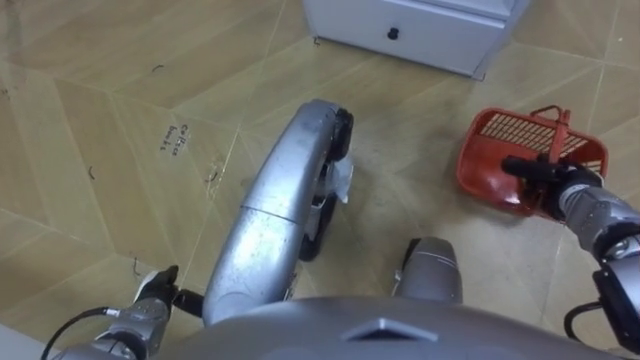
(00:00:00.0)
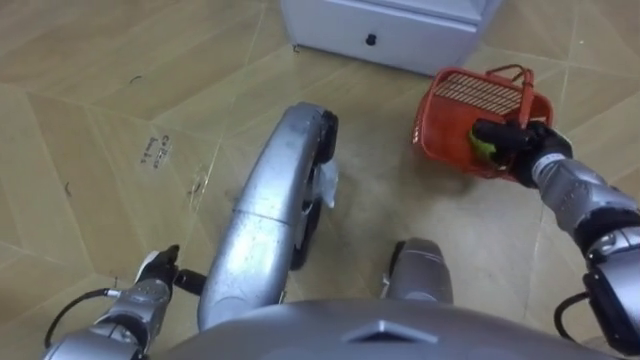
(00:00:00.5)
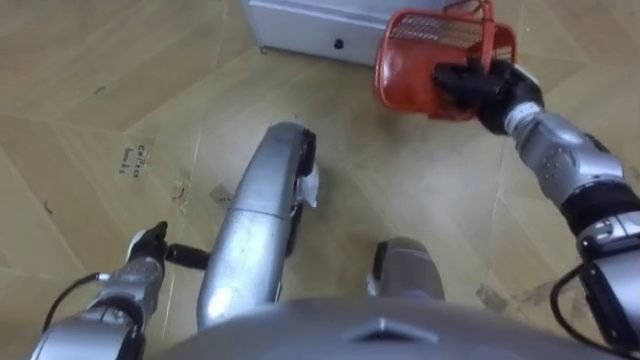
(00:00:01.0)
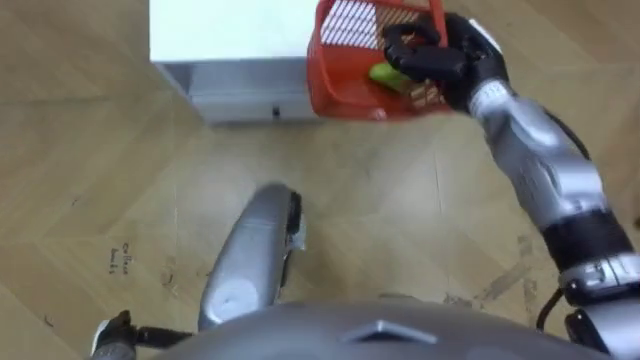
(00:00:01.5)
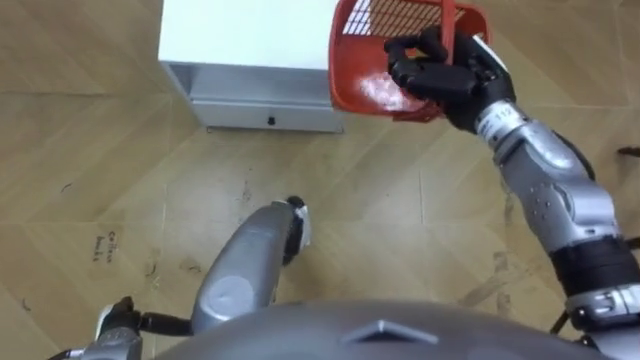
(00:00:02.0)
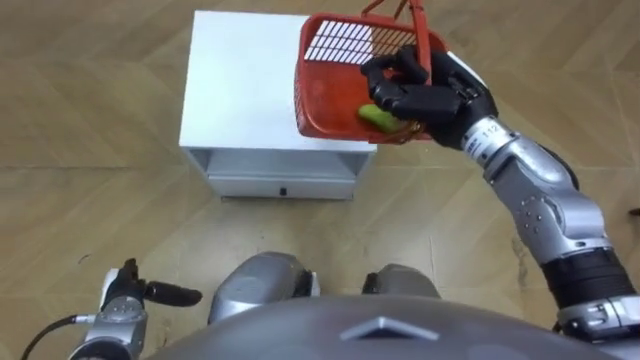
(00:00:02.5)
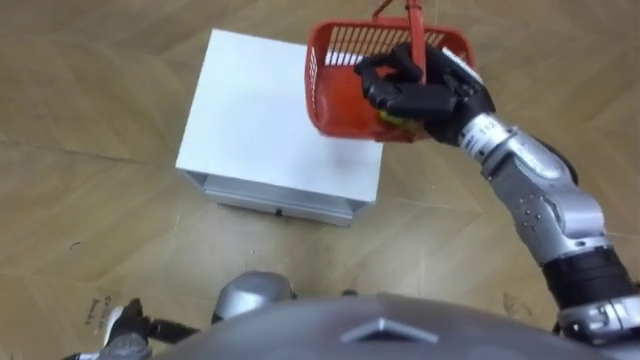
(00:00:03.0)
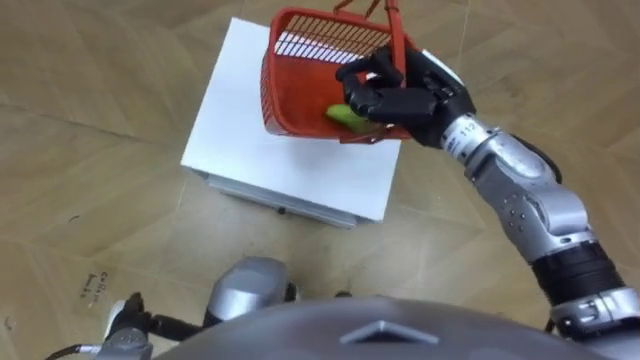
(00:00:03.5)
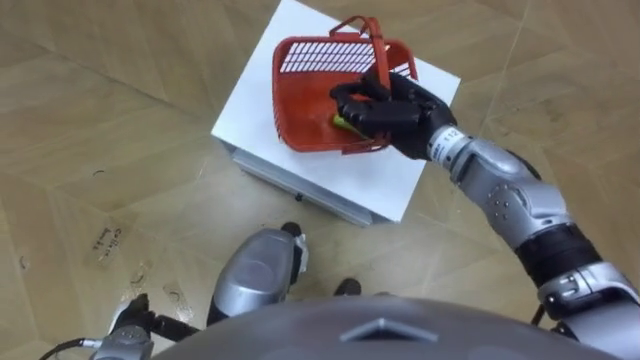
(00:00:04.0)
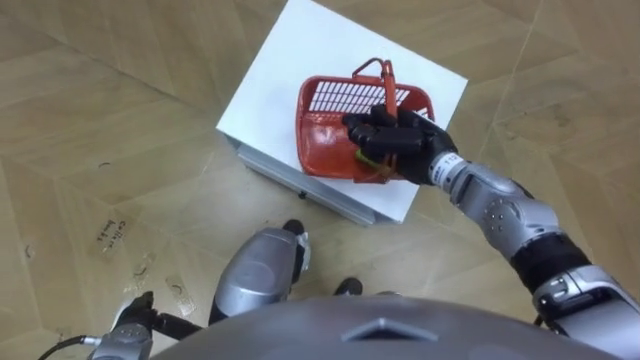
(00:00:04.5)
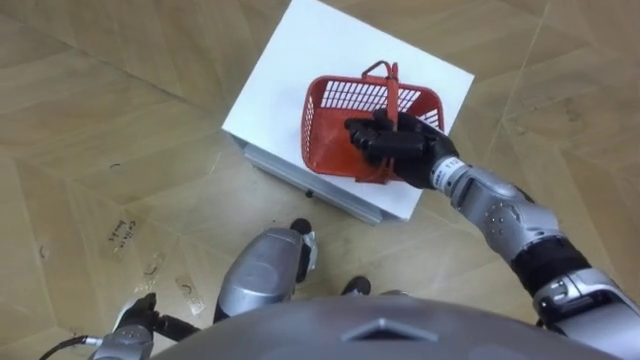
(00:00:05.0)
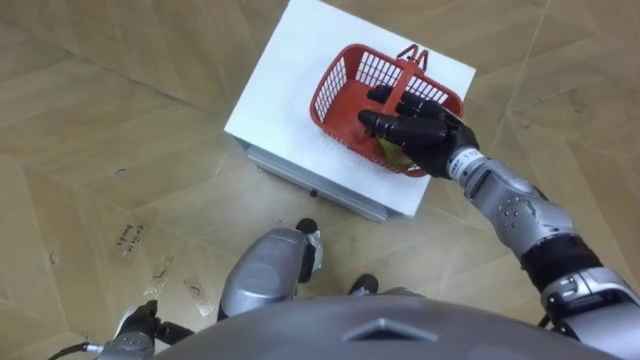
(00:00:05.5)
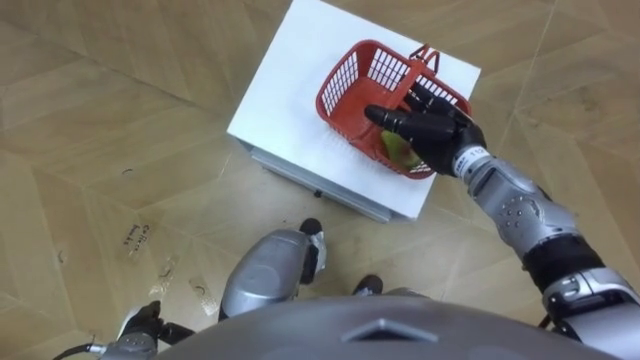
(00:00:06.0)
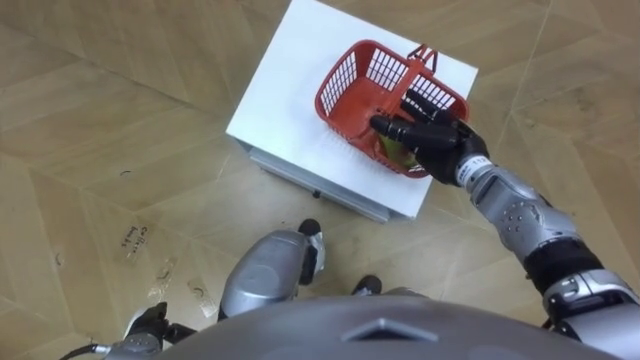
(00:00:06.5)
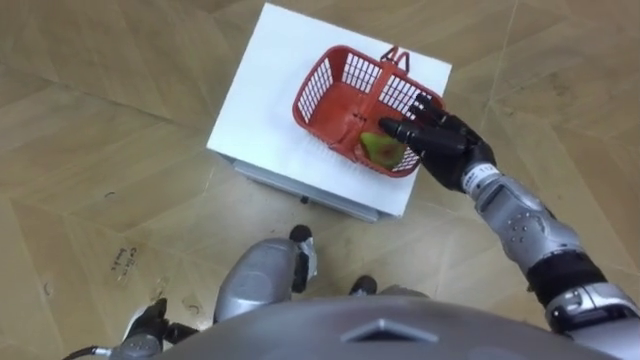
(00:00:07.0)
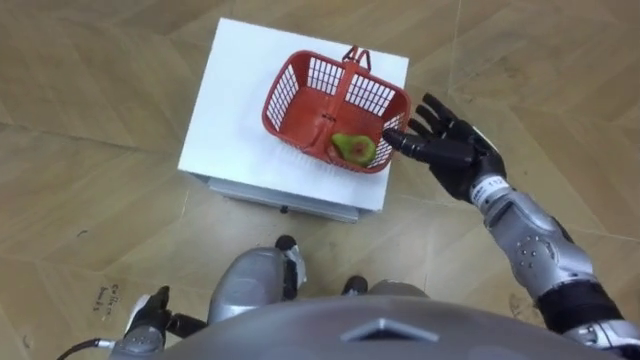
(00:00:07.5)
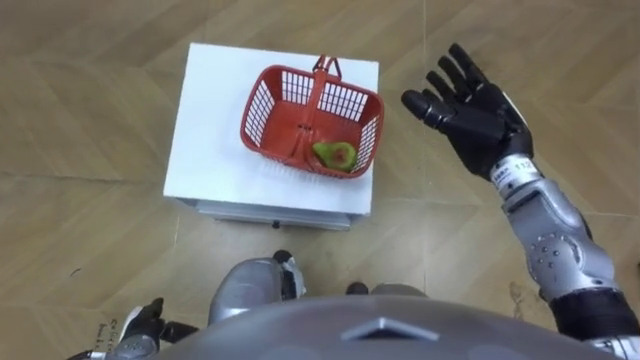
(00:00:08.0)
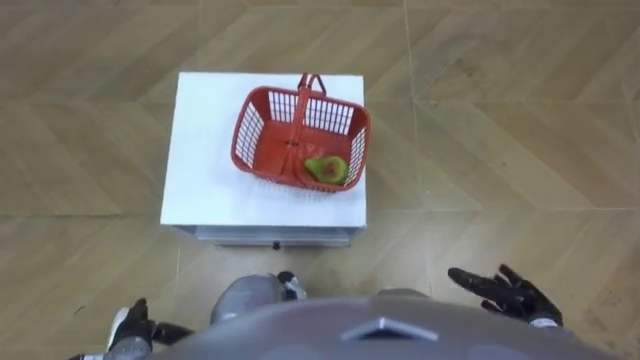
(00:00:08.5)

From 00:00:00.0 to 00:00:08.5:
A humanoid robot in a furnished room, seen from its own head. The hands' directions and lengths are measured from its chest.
Task of the whole recording: Pick up the fruit basket from the floor and place it on the cabinet.
From 00:00:00.0 to 00:00:02.0: The robot rotates approximately 15 degrees to its right. The right hand travels to the left, upward and forward by roughly 25 cm, while the left hand travels forward and back again, roughly 5 cm each way.
From 00:00:02.0 to 00:00:04.0: The right hand goes approximately 5 cm to the left.
From 00:00:04.0 to 00:00:06.5: The right hand goes some 10 cm to the right and downward, and opens its fingers.
From 00:00:06.5 to 00:00:08.5: The right hand heads backward, to the right and downward, covering approximately 25 cm.

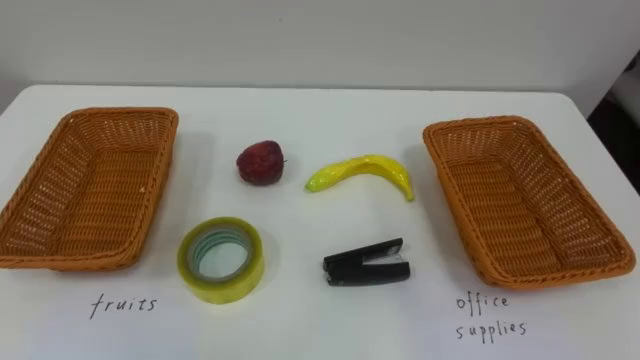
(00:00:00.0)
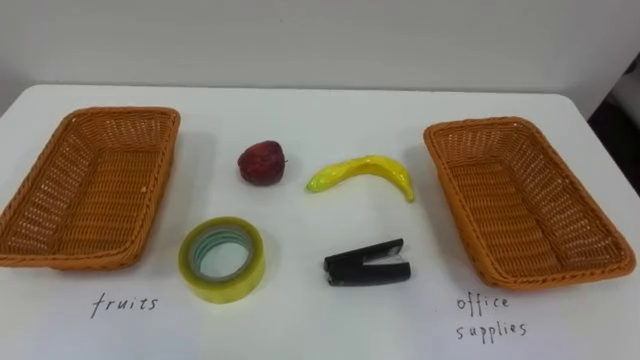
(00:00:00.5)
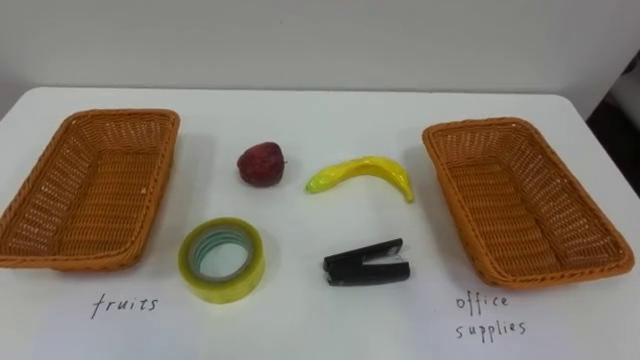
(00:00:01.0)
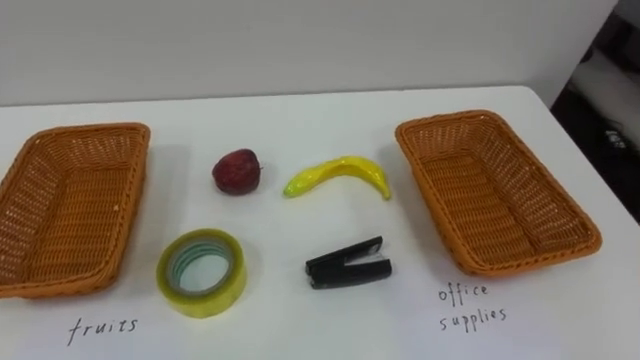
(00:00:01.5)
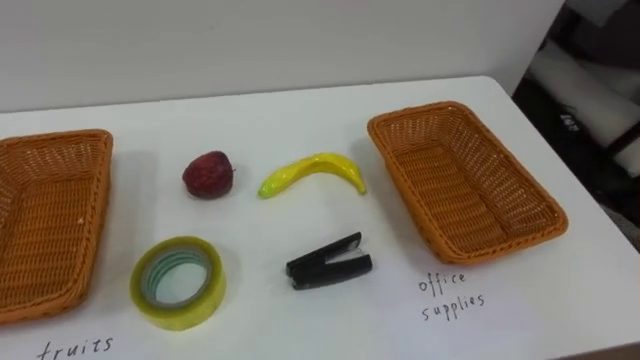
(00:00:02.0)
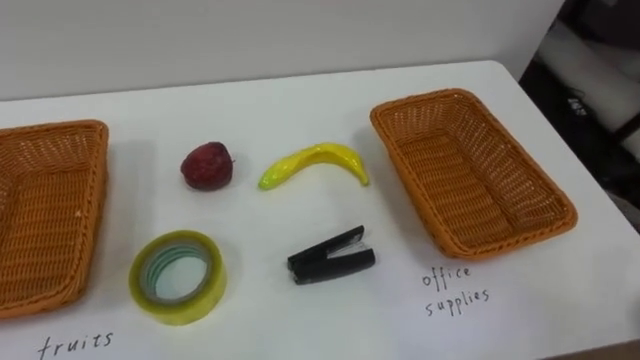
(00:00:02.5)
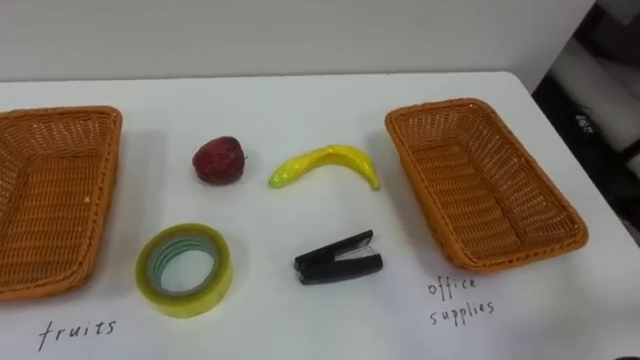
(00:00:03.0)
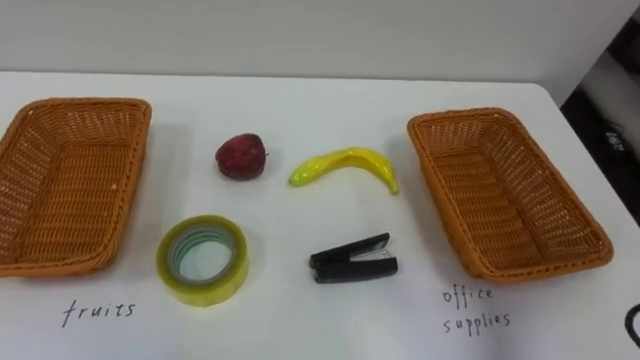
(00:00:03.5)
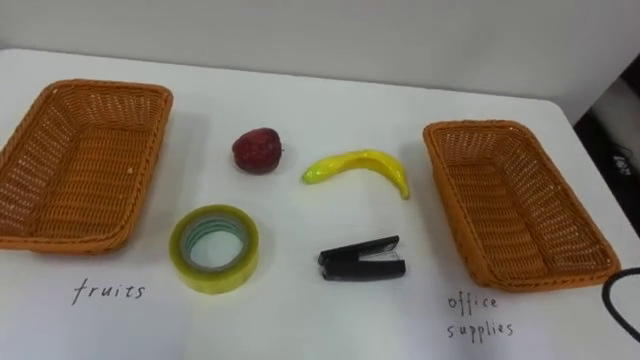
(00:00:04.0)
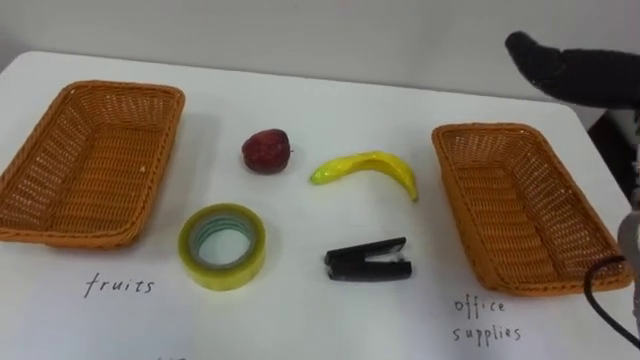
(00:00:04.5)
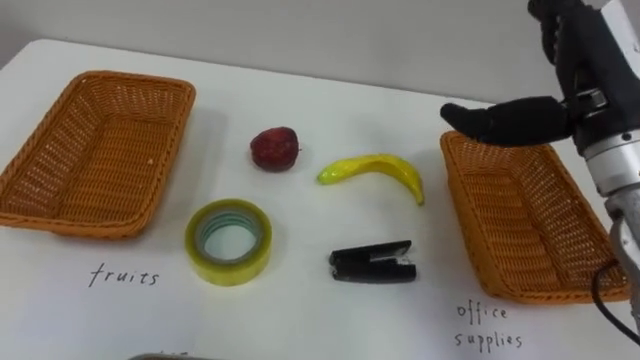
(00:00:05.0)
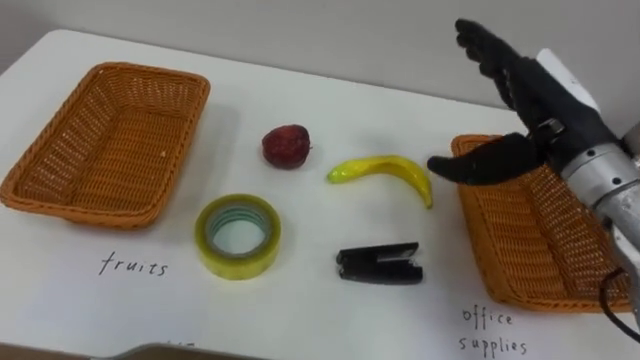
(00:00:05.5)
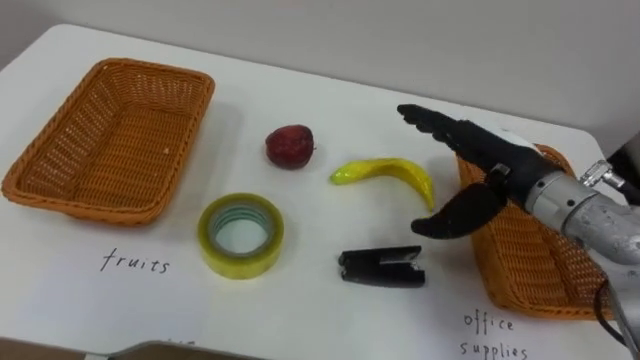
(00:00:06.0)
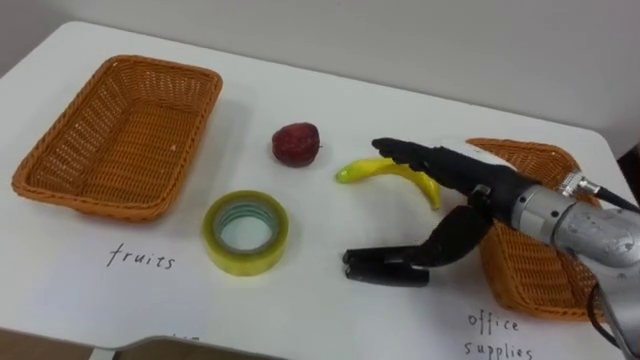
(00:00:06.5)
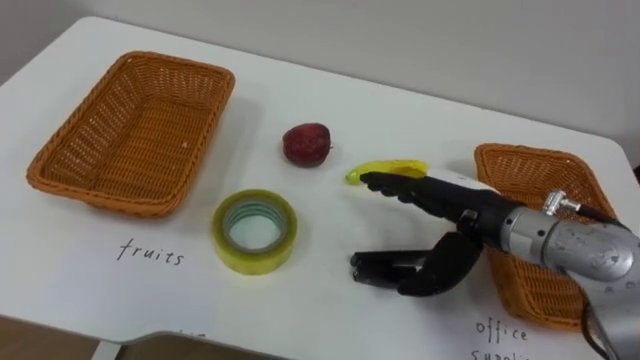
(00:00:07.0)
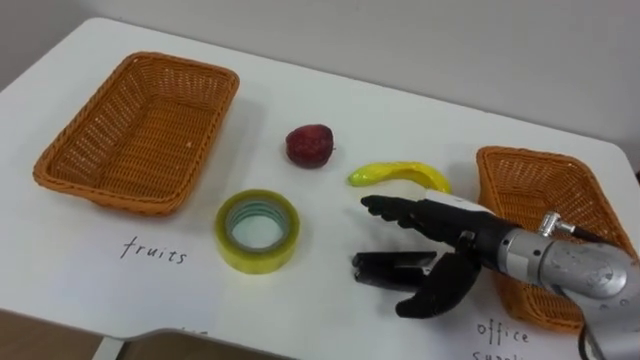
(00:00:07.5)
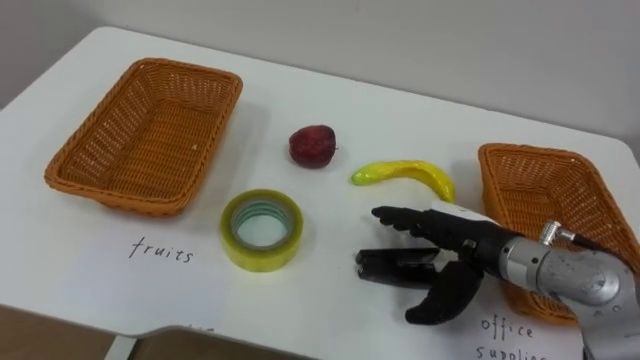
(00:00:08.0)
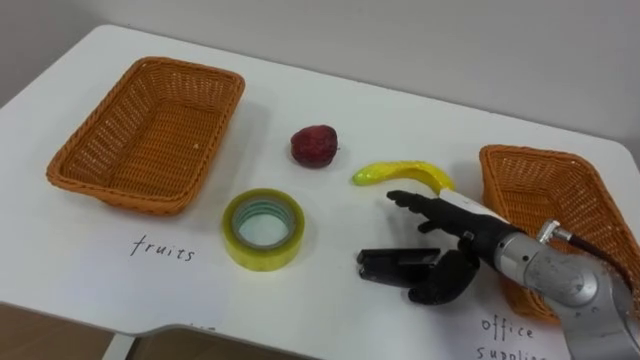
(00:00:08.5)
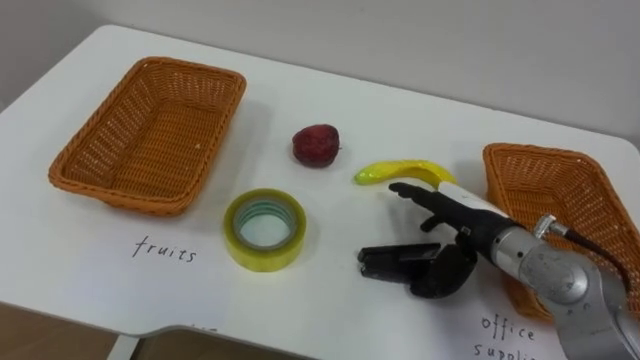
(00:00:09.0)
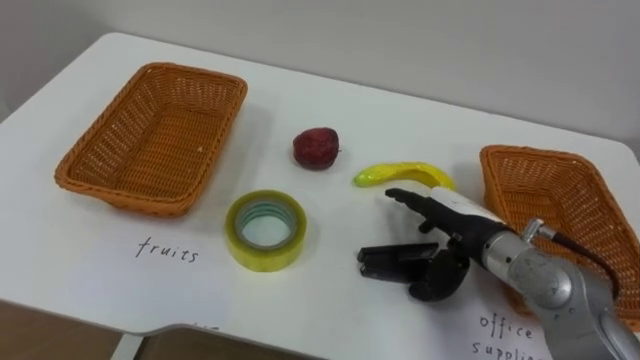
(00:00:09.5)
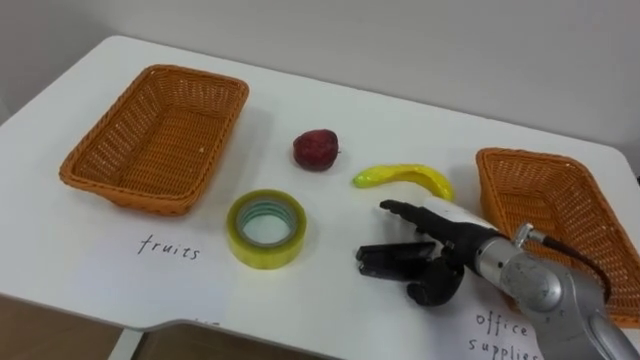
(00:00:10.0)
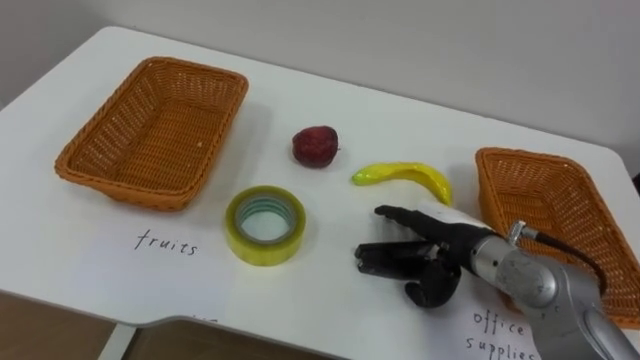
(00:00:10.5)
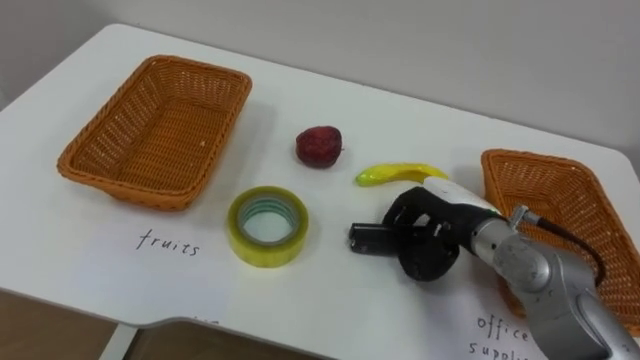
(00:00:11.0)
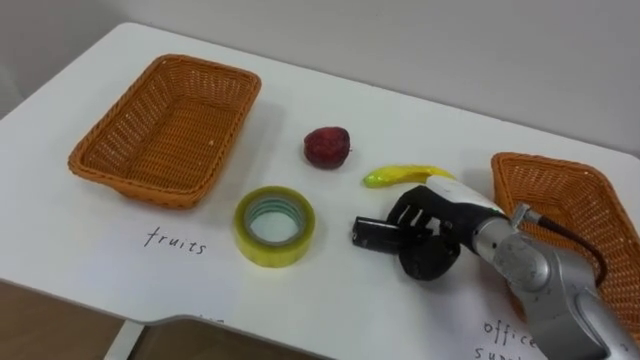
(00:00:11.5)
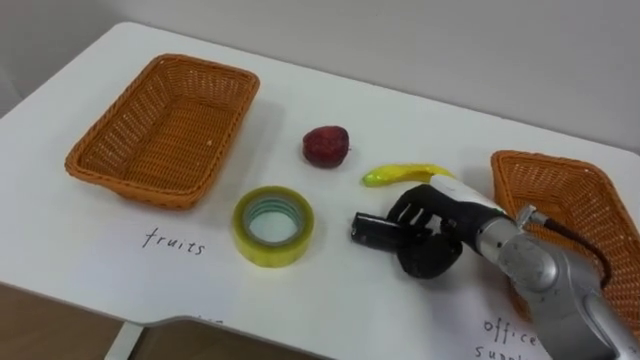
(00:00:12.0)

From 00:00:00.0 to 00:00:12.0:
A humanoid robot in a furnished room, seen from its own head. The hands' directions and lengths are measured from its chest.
Task of the whole recording: Separate the items on the table and place them into the two baskets.
From 00:00:06.0 to 00:00:08.0: The right hand heads downward, covering about 10 cm.
From 00:00:10.0 to 00:00:12.0: The right hand closes up.
